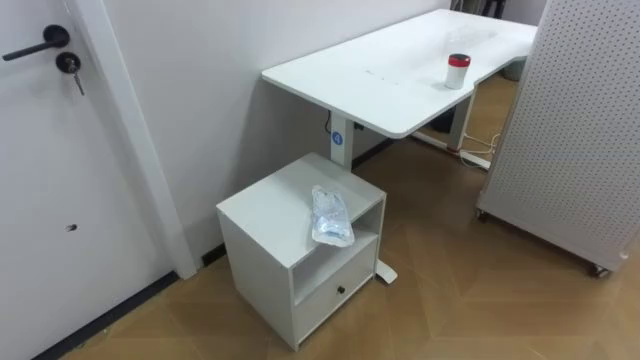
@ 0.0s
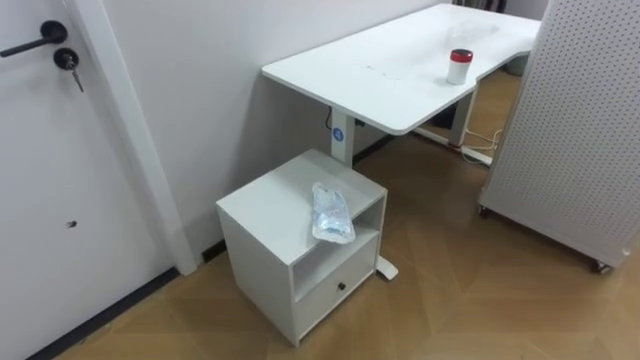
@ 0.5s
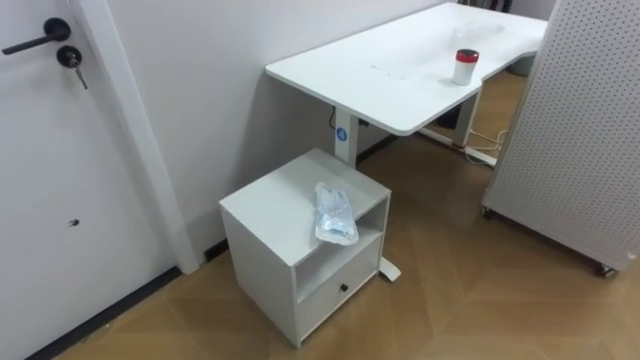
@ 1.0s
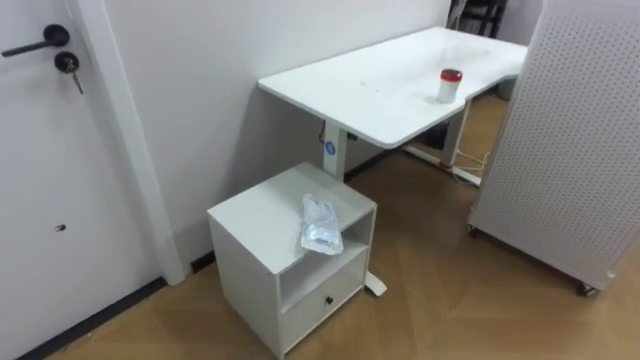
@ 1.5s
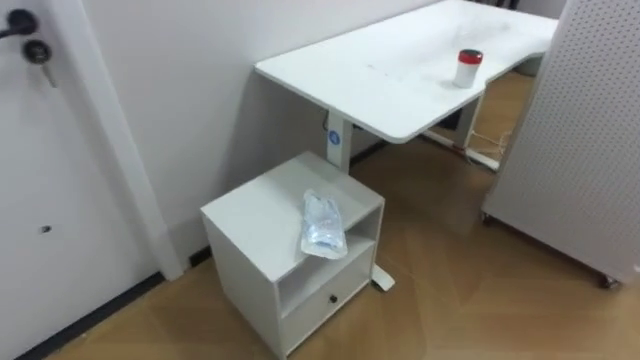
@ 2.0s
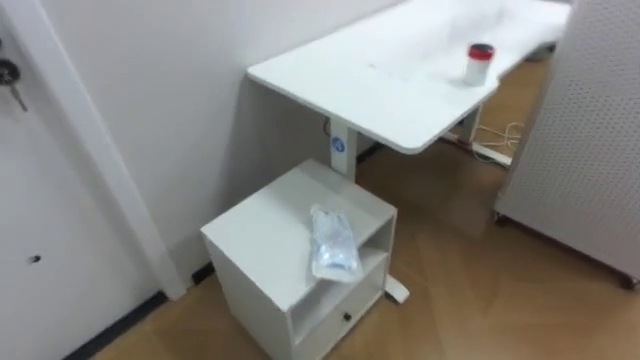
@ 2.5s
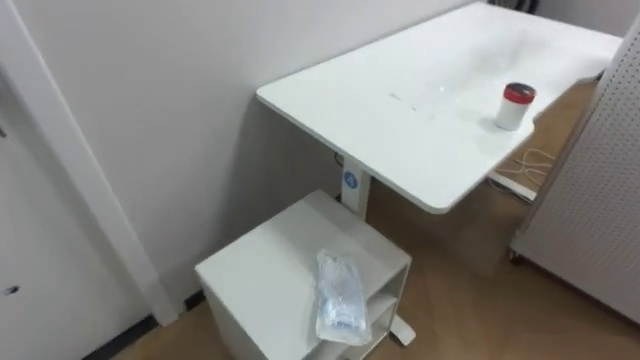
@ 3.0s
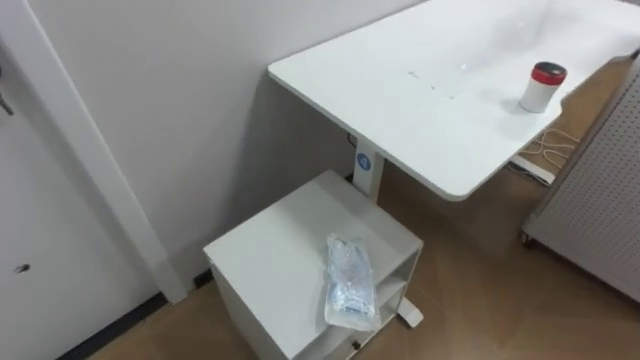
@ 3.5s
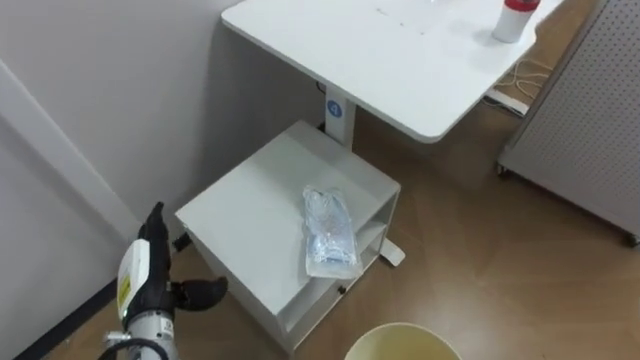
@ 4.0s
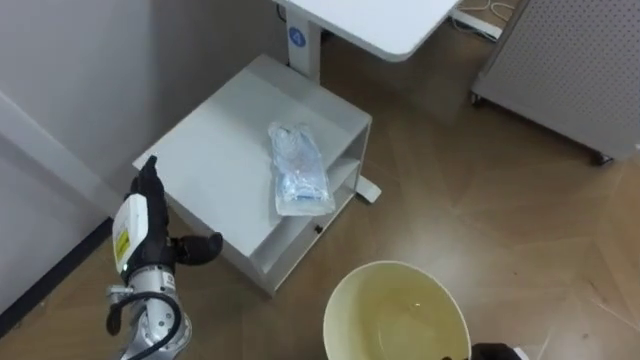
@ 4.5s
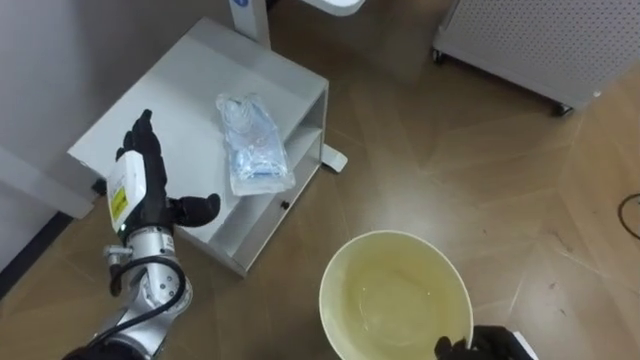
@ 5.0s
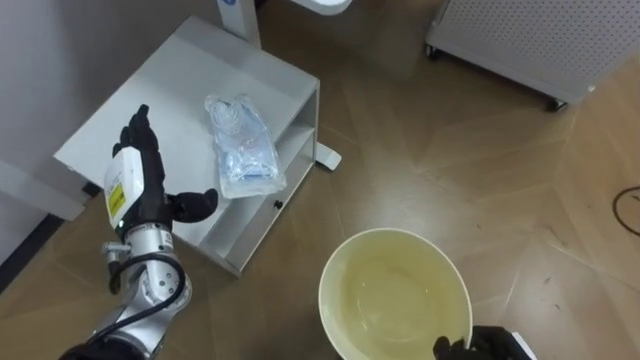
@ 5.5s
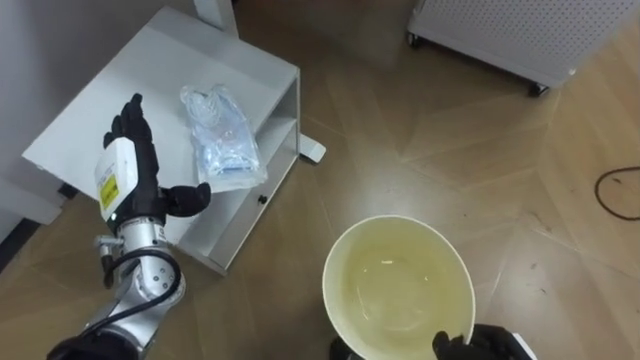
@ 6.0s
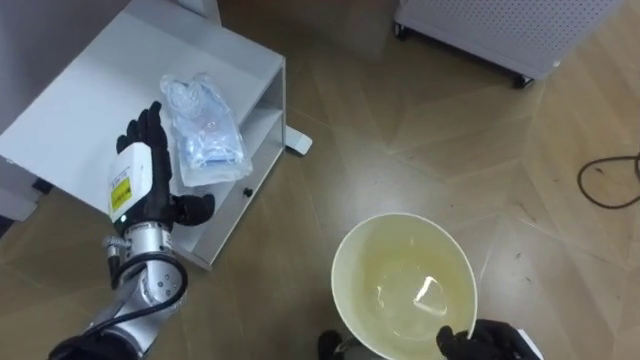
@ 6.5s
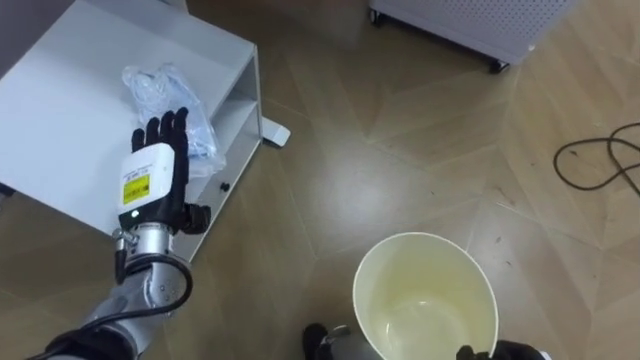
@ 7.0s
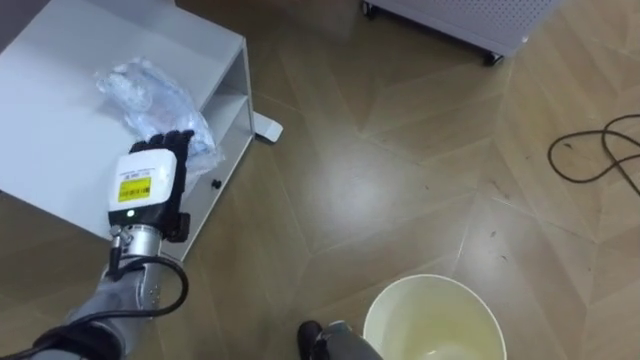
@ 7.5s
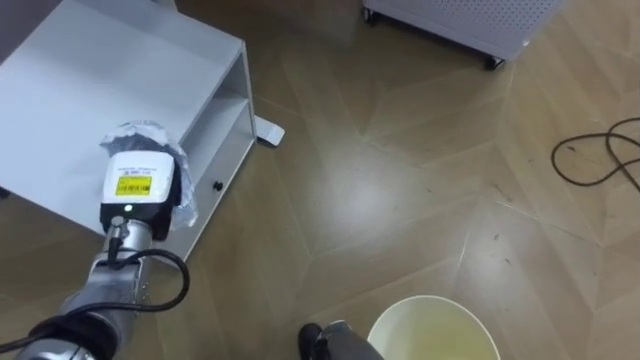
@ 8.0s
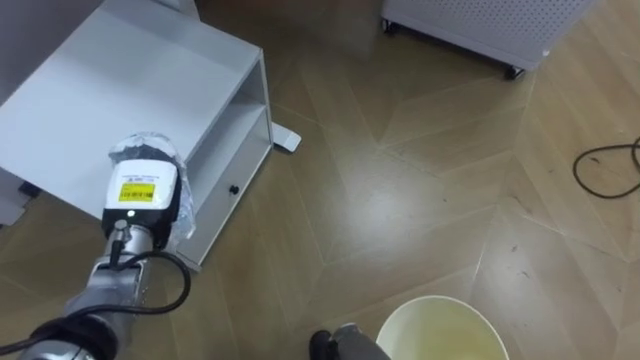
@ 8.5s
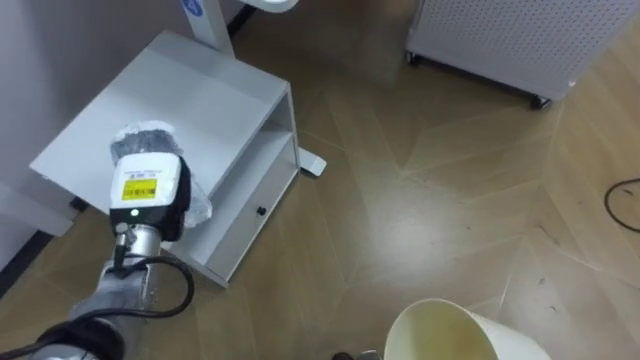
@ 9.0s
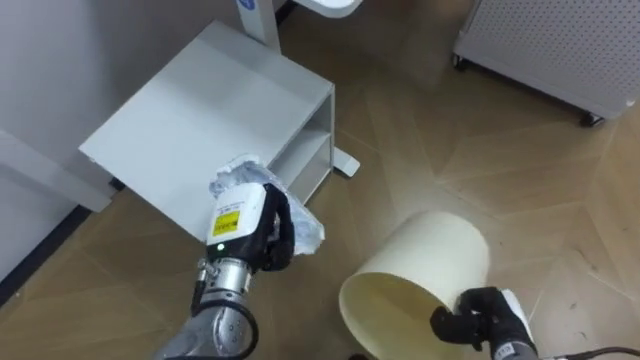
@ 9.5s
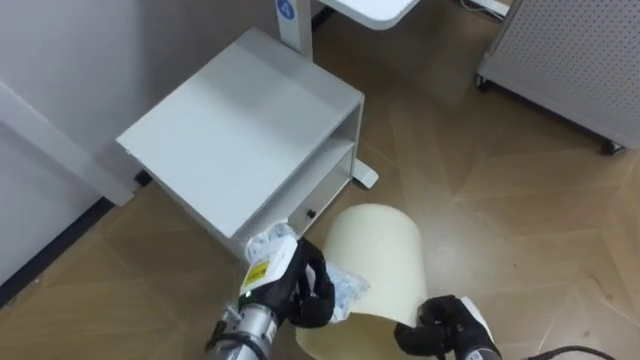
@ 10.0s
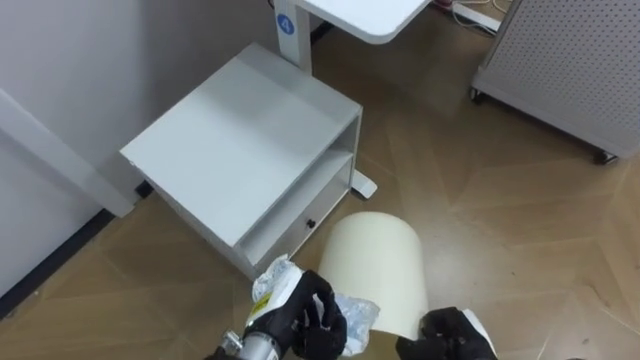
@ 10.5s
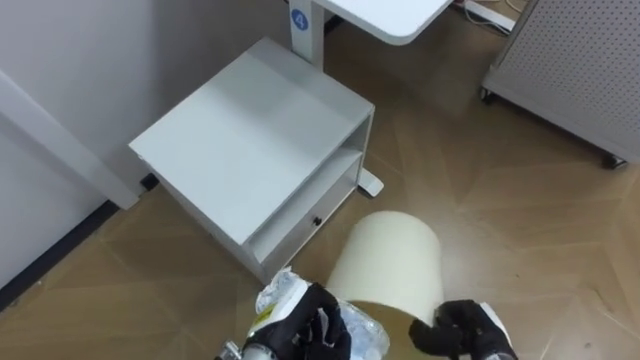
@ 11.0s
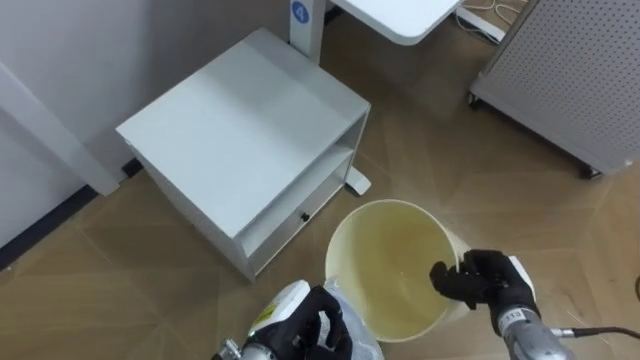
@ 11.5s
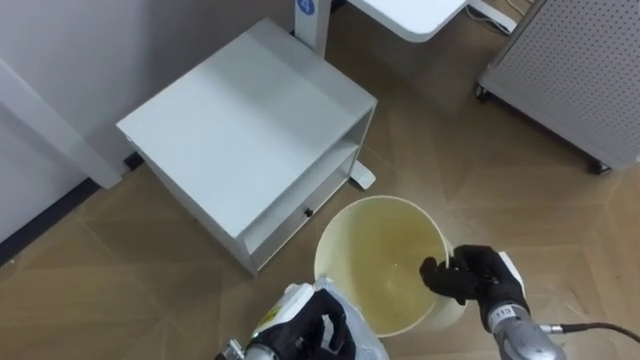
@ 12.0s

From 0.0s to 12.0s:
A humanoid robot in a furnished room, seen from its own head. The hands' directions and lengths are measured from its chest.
Task of the whole recording: Pick up the light blue package, the candy box, and the dark blue package separately, and put them into the trash can held in your right hand.
From 4.0s to 6.0s: The left hand shifts some 15 cm upward and forward.
From 6.0s to 8.0s: The left hand closes up.
From 8.0s to 10.0s: The left hand travels to the right, downward and backward by about 20 cm.
From 10.0s to 12.0s: The right hand goes approximately 5 cm upward, while the left hand shifts by some 5 cm.

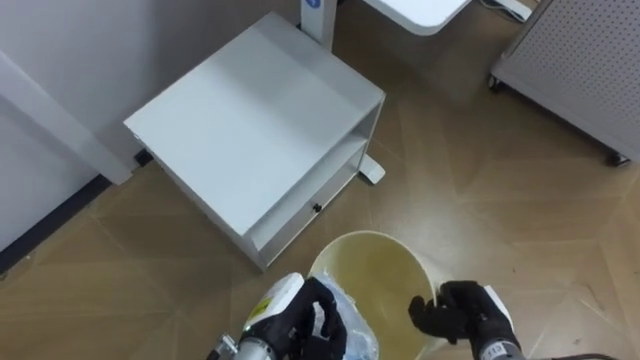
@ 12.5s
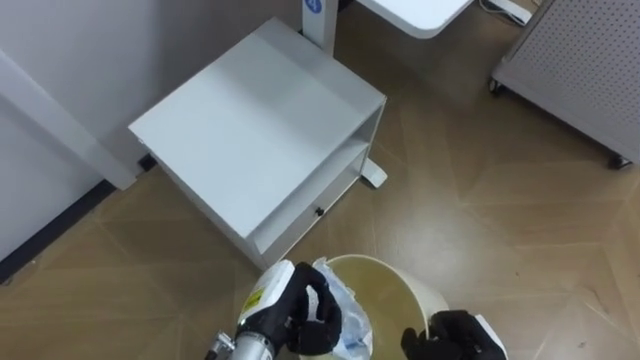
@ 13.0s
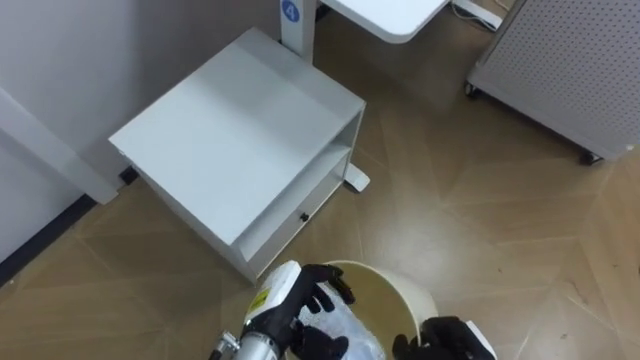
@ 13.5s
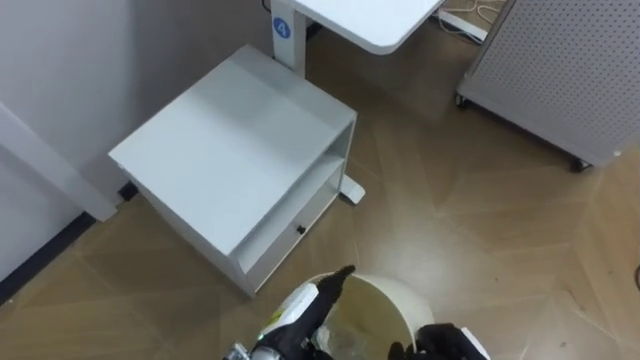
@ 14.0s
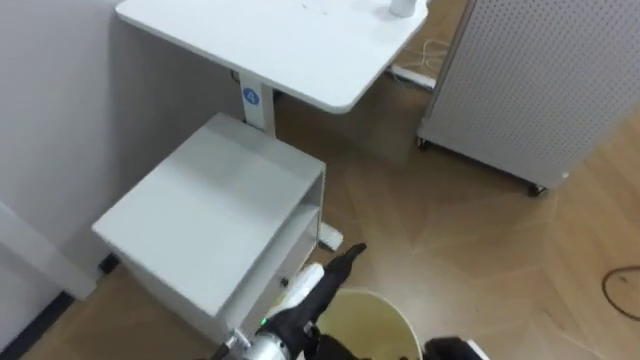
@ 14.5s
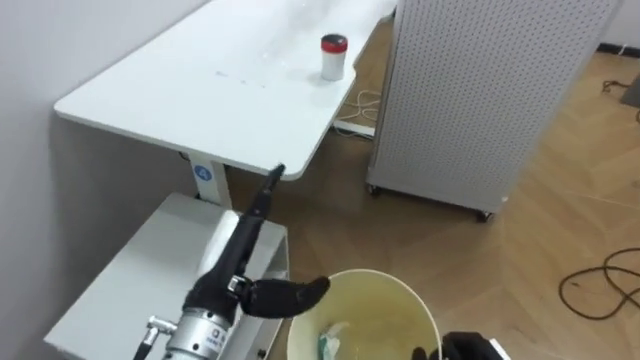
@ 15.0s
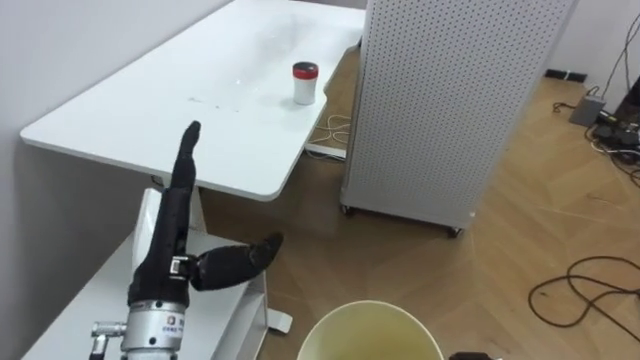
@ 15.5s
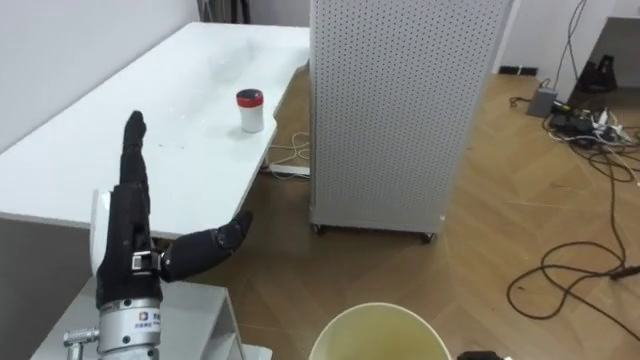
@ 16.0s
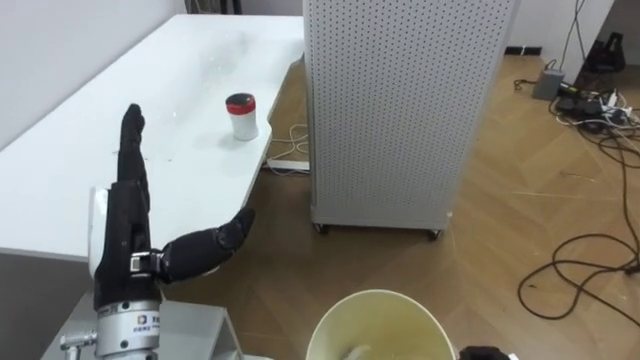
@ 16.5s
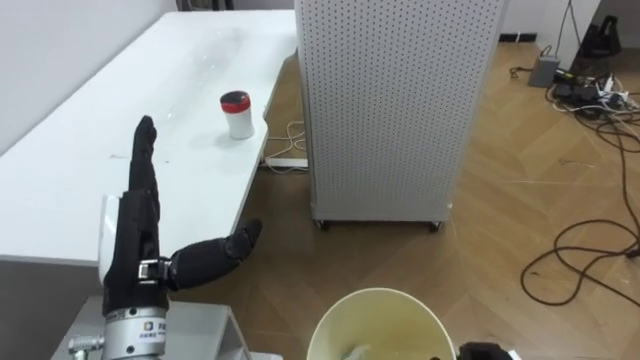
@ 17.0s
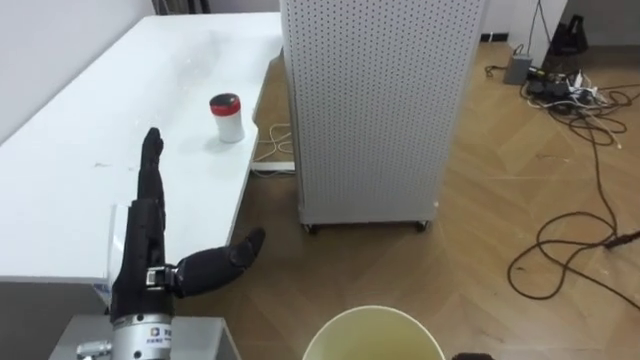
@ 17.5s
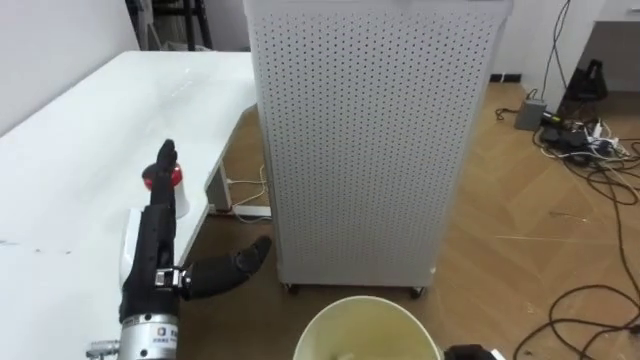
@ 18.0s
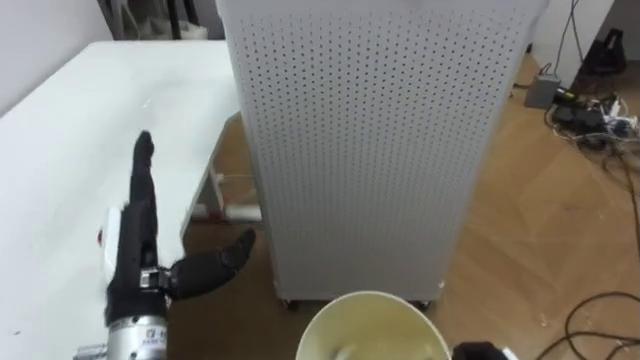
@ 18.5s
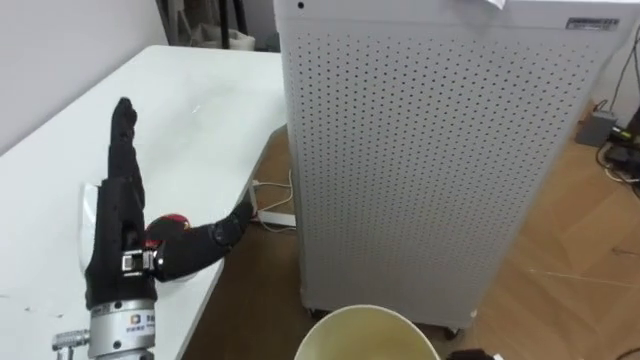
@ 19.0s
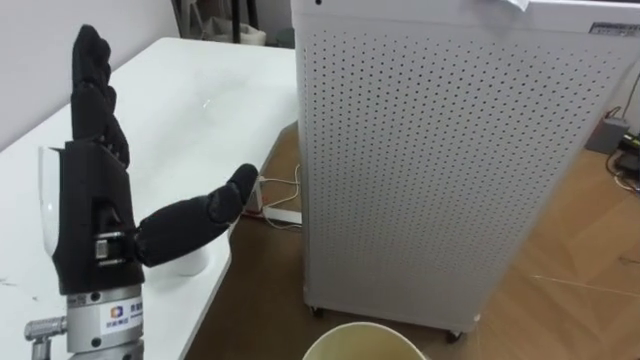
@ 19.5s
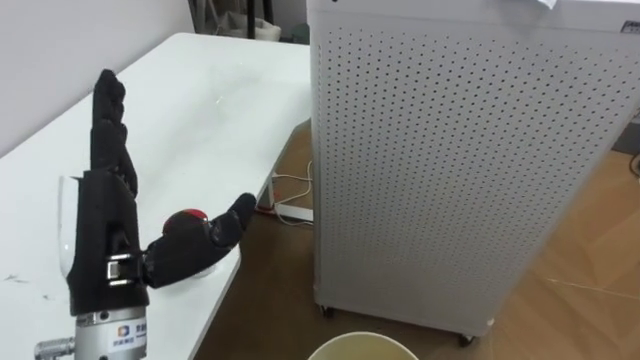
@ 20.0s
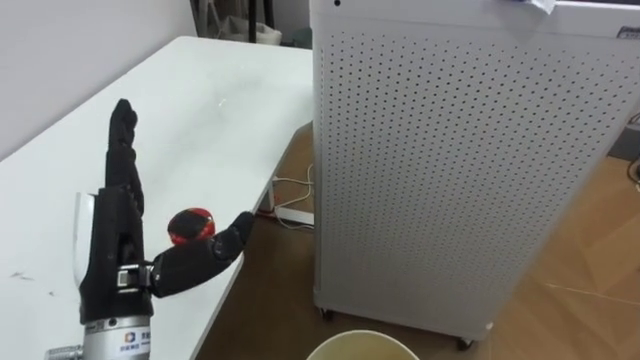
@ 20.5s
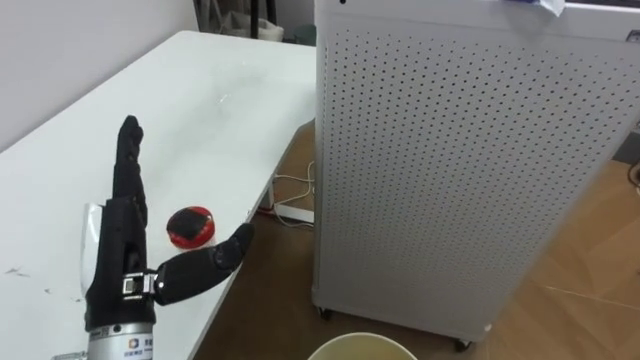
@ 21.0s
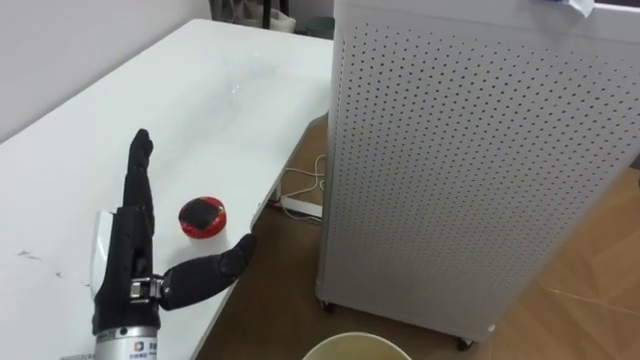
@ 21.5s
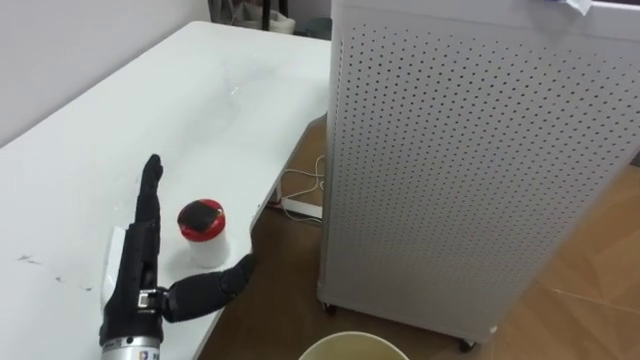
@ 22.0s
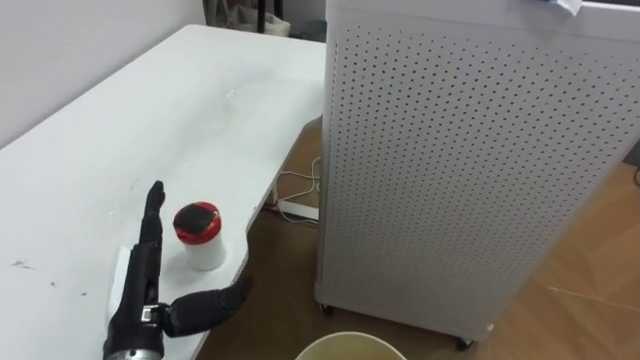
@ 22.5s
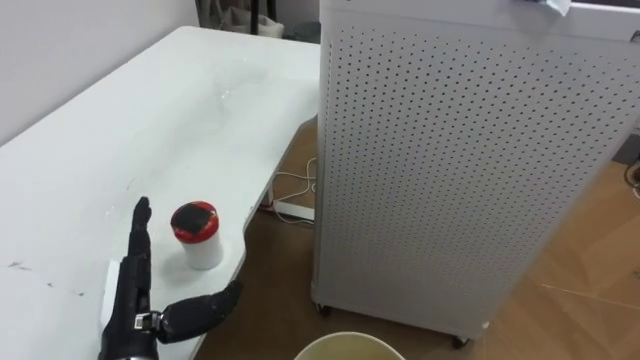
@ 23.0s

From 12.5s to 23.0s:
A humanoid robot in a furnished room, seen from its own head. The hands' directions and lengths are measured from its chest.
Task of the whole recording: Pick up the light blue package, the candy box, and the dark blue package separately, and put them into the trash can held in your right hand.
From 12.5s to 14.5s: The left hand opens up.
From 14.5s to 16.5s: The robot's body swings roughly 25 degrees to its right. The left hand is displaced to the left and upward by about 20 cm.
From 21.0s to 23.0s: The left hand shifts some 10 cm downward.
